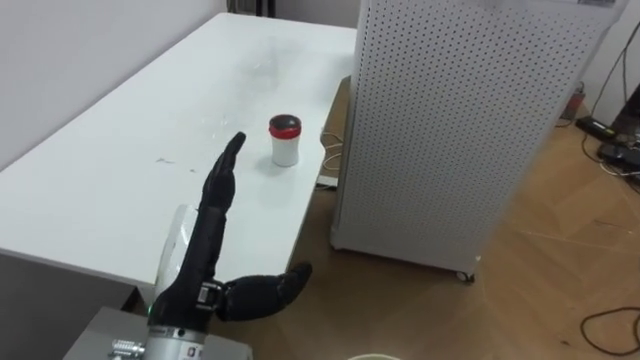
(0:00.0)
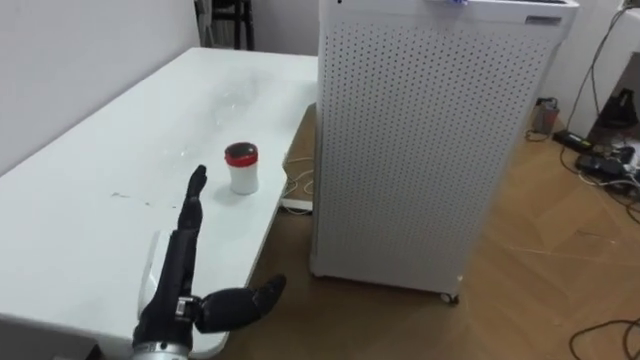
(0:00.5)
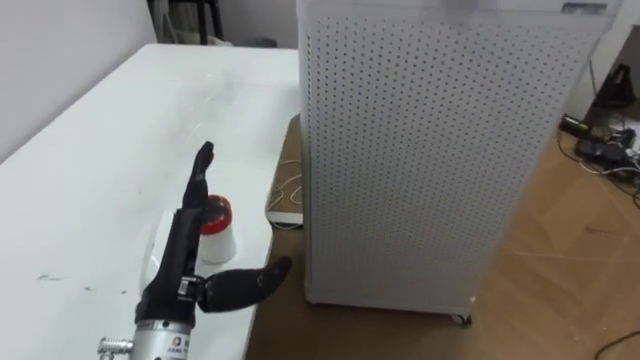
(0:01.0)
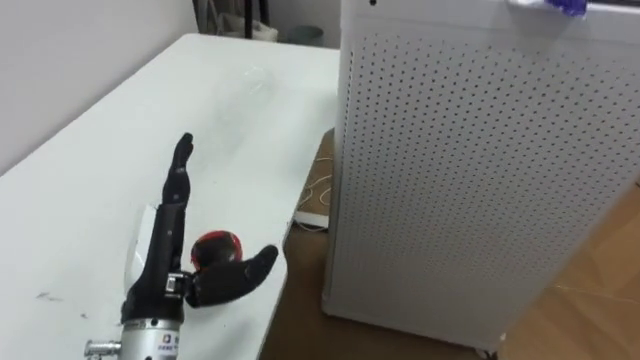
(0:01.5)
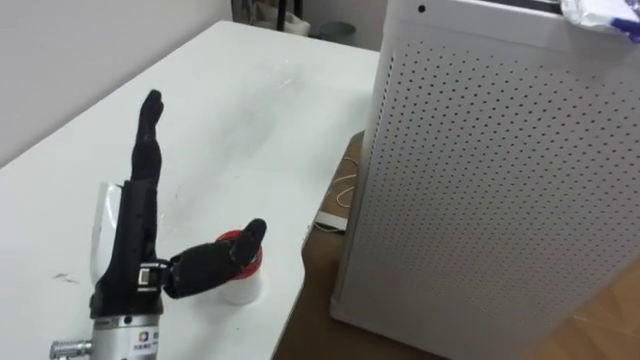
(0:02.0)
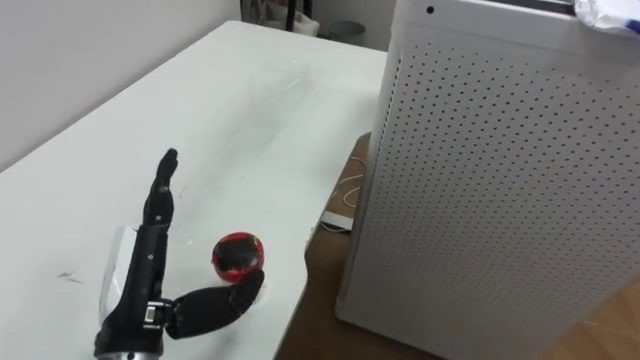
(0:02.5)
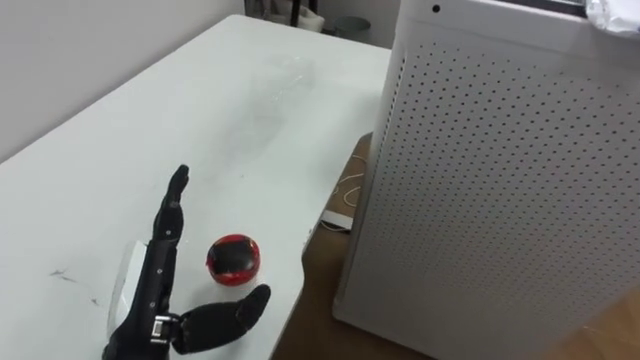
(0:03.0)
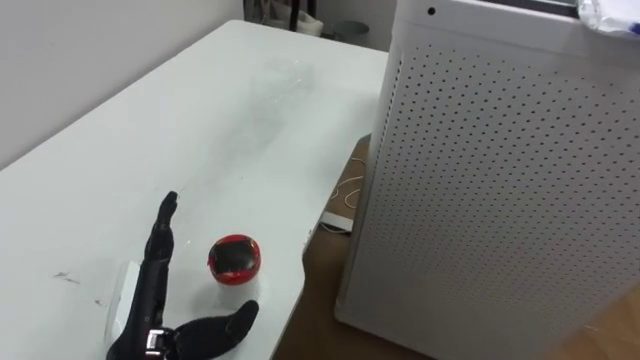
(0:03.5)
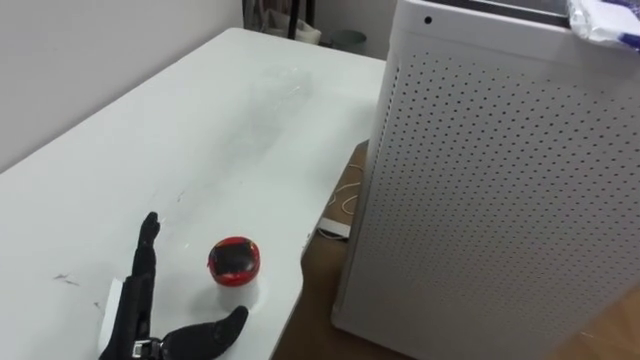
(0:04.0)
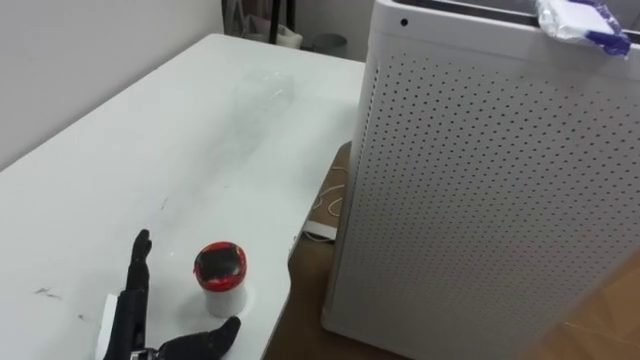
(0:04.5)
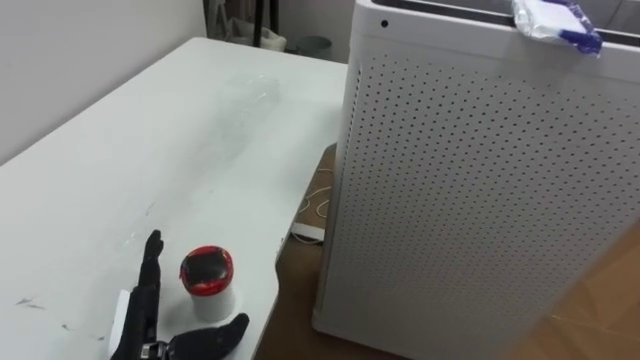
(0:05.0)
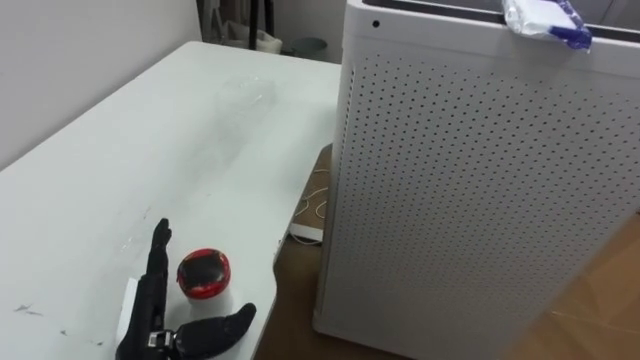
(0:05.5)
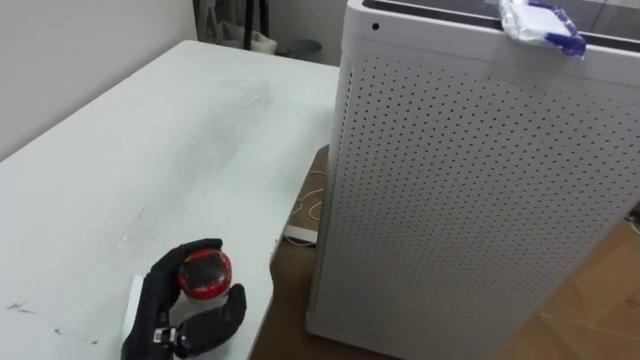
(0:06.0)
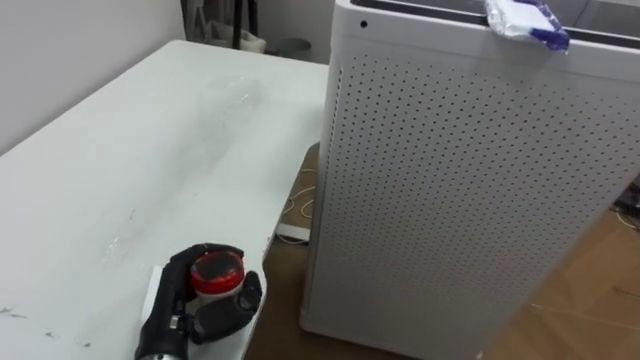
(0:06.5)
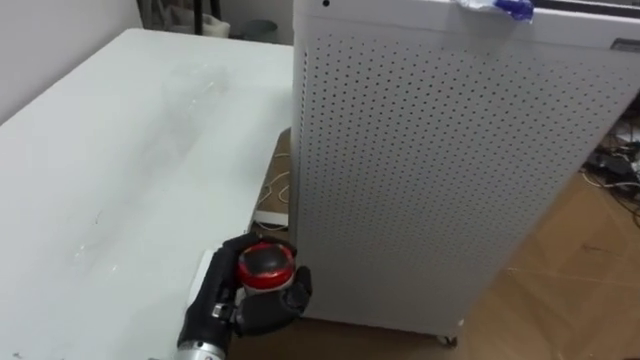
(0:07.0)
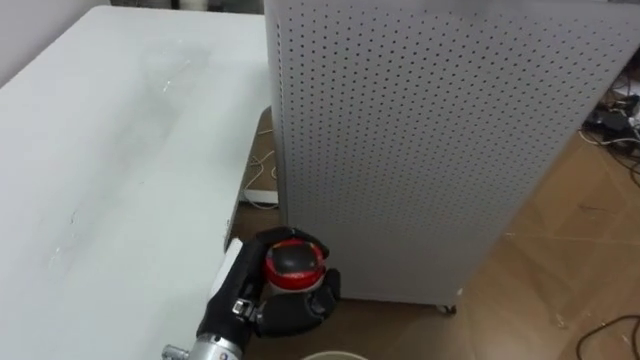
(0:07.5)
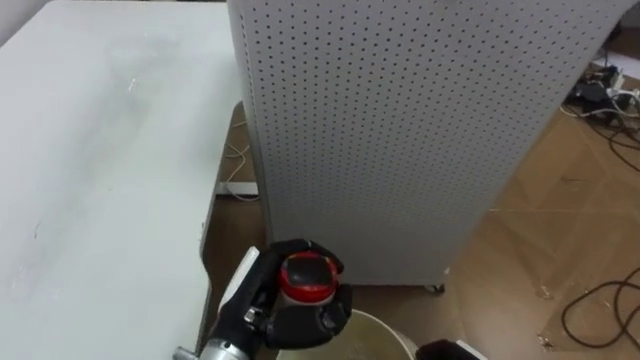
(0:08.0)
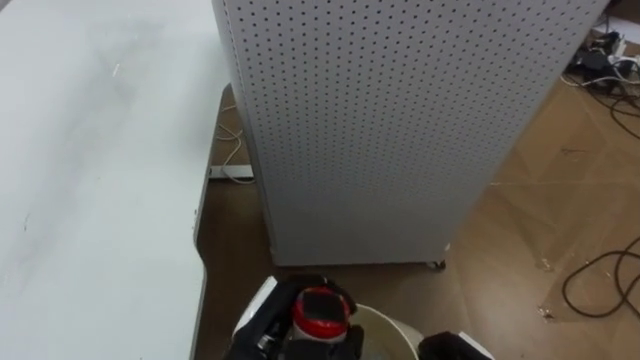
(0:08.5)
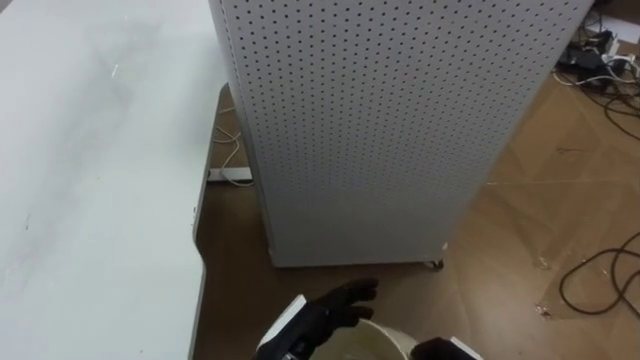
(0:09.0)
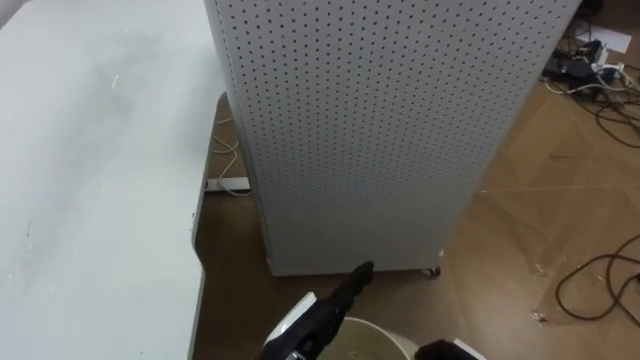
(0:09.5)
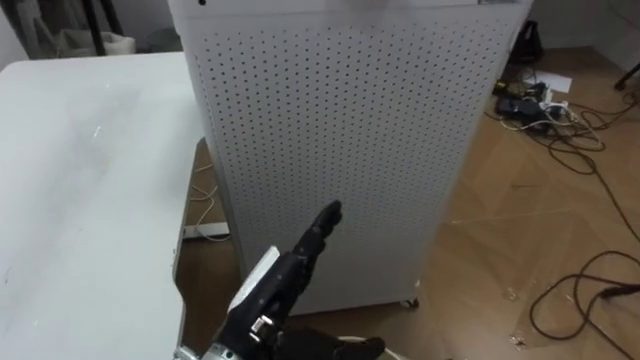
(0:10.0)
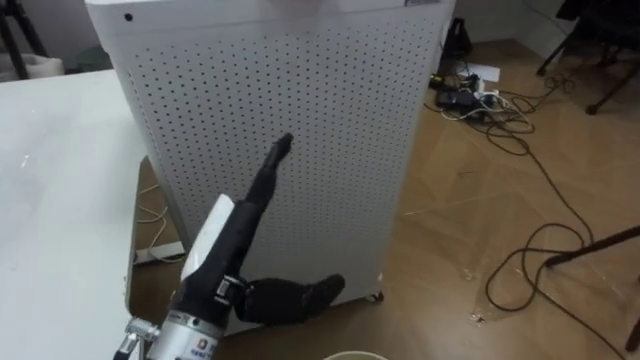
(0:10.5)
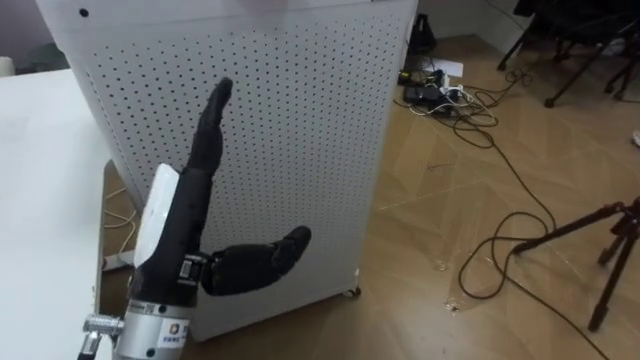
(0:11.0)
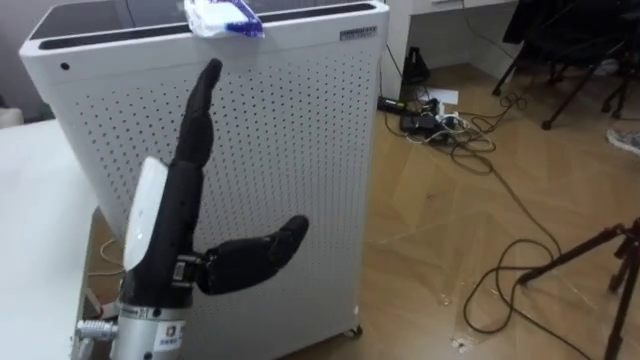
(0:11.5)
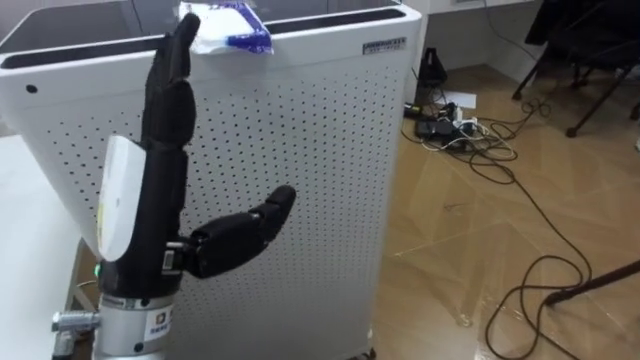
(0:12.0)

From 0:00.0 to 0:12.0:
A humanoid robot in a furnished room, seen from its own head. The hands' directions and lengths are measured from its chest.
Task of the whole recording: Pick up the light blue package, the candy box, and the dark blue package separately, and put them into the trash can held in your right hand.
From 0:00.0 to 0:02.0: The left hand changes place by some 5 cm.
From 0:02.0 to 0:04.0: The left hand goes some 10 cm downward.
From 0:04.0 to 0:06.0: The left hand closes.
From 0:06.0 to 0:08.0: The left hand is displaced to the right by approximately 10 cm.
From 0:08.0 to 0:10.0: The left hand opens up.
From 0:10.0 to 0:12.0: The robot turns to its right by some 20 degrees. The left hand goes approximately 15 cm upward and to the left.

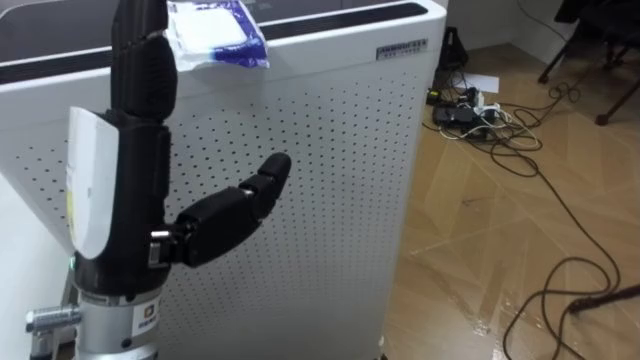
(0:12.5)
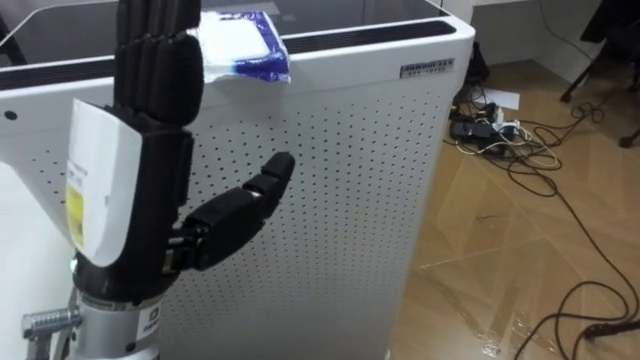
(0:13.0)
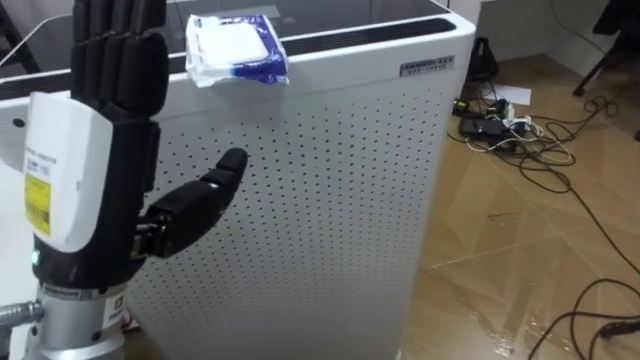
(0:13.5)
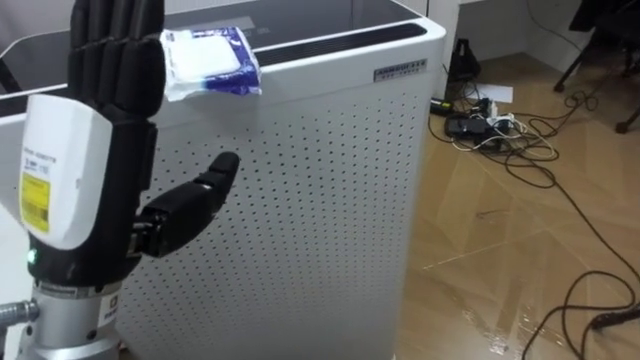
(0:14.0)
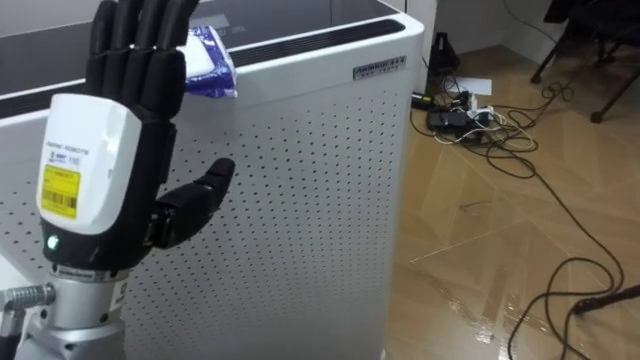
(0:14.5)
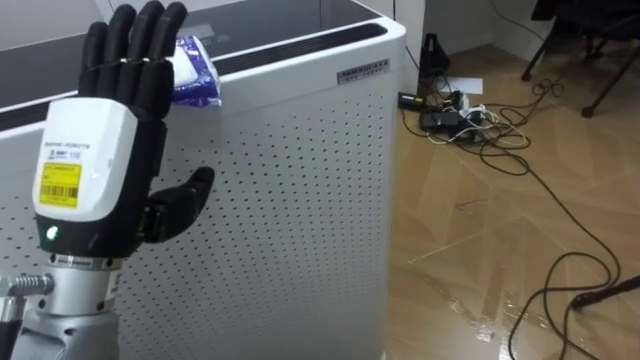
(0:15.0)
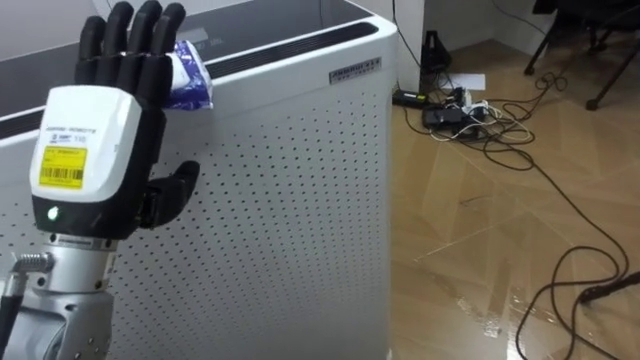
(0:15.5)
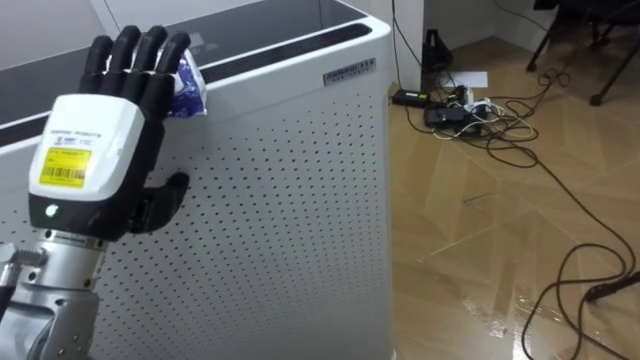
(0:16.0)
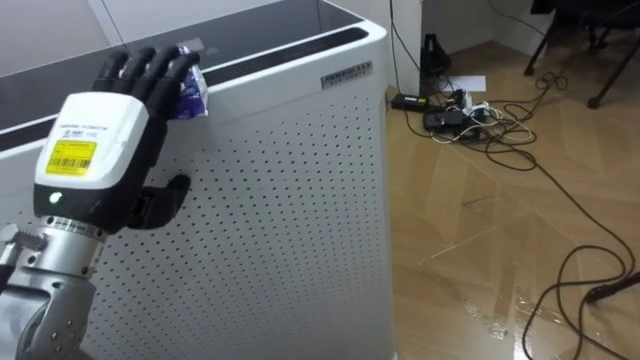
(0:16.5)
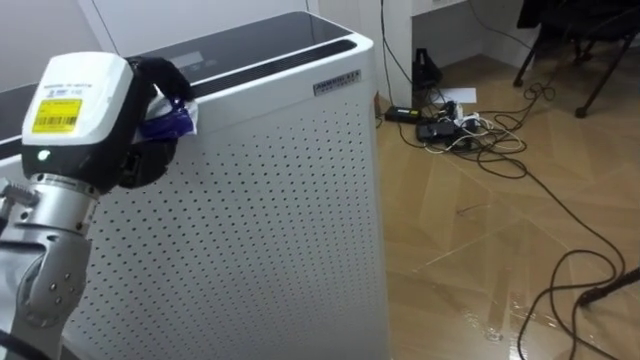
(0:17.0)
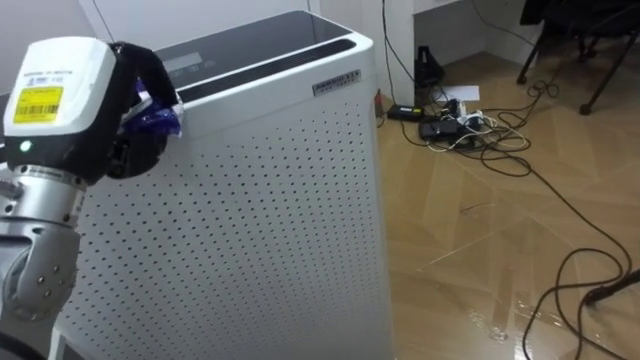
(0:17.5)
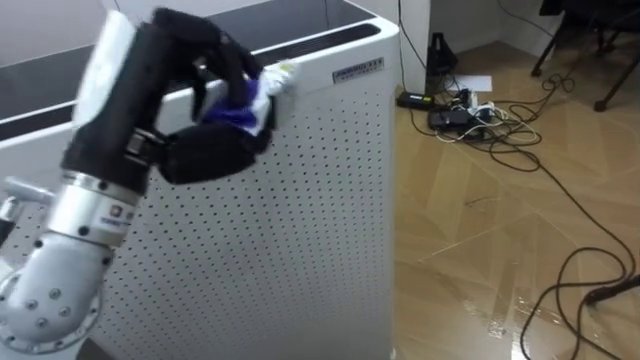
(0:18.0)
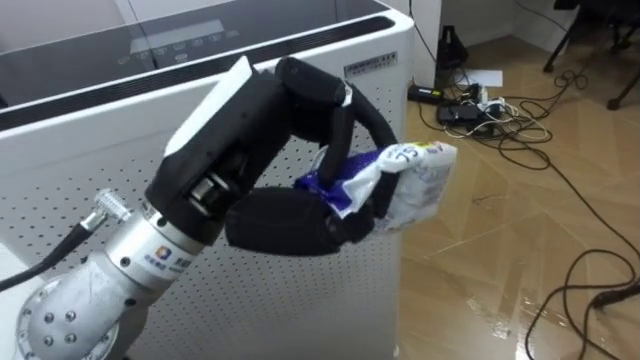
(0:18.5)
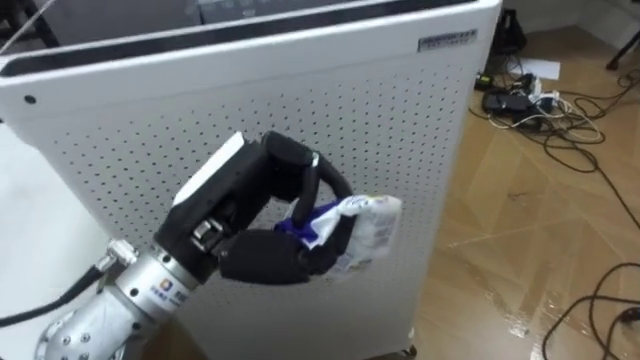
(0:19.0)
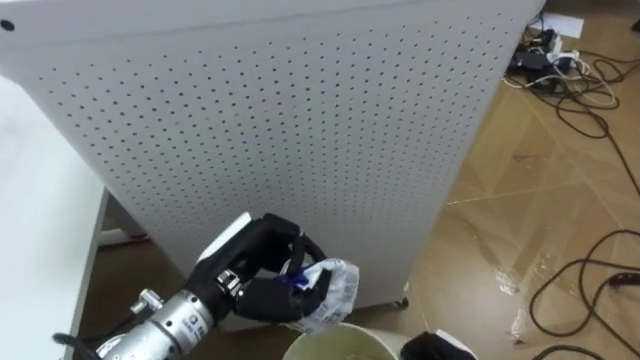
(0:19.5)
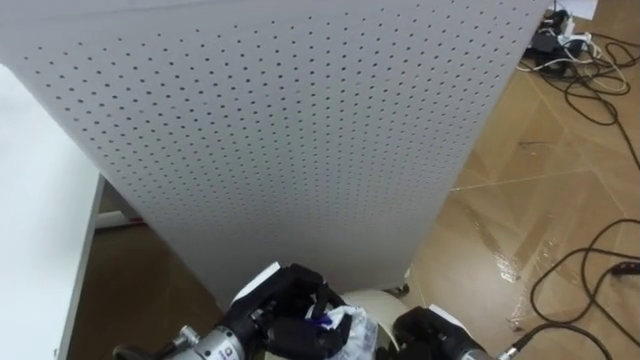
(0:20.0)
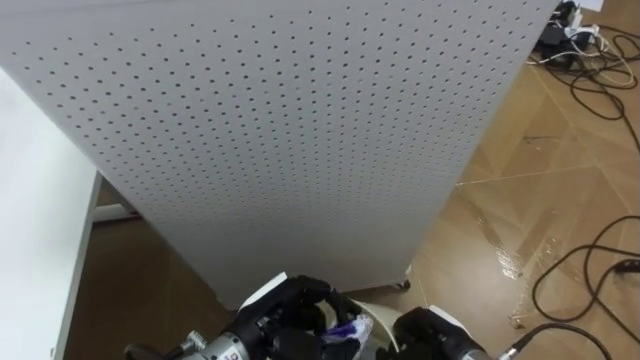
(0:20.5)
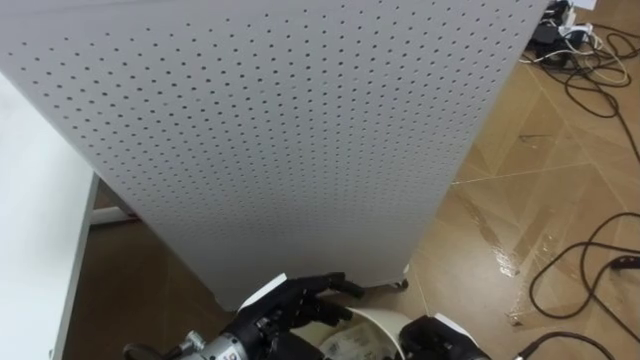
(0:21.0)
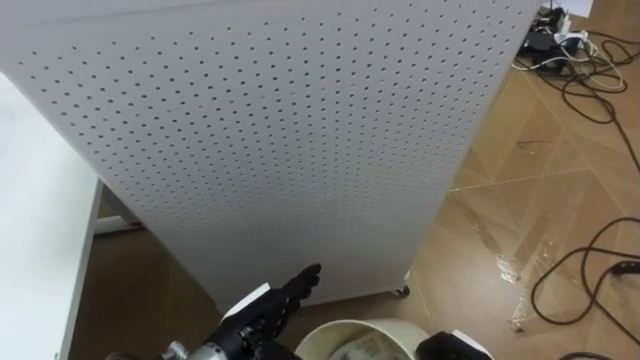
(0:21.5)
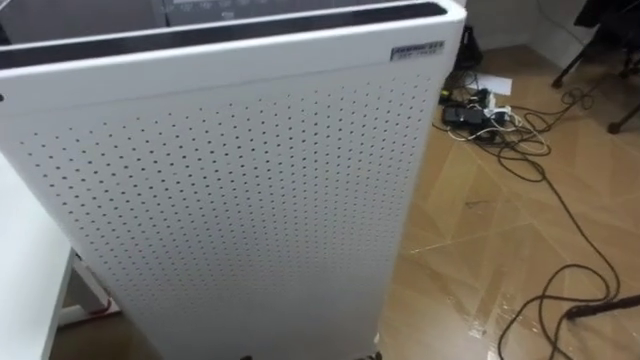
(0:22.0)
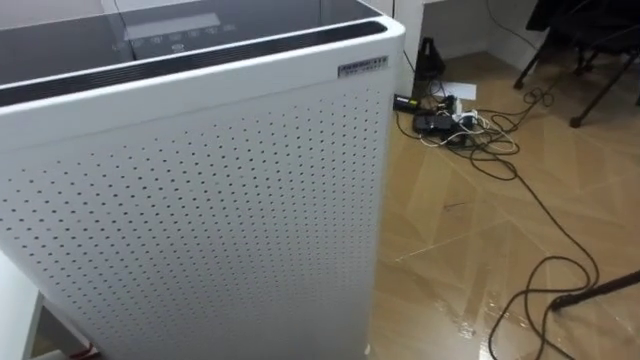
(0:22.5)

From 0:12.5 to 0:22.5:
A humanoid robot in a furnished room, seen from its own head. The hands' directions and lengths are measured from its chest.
Task of the whole recording: Pick up the light blue package, the candy box, and the dark blue package separately, and put them into the trash can held in your right hand.
From 0:14.5 to 0:16.5: The left hand moves forward, approximately 5 cm.
From 0:16.5 to 0:18.5: The left hand is displaced to the right, upward and backward by some 15 cm, and closes up.
From 0:18.5 to 0:20.5: The left hand travels downward by approximately 30 cm.
